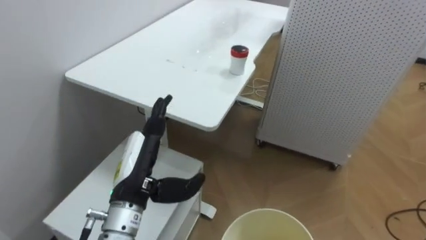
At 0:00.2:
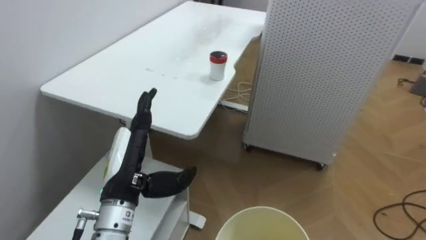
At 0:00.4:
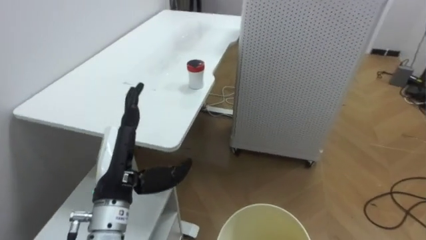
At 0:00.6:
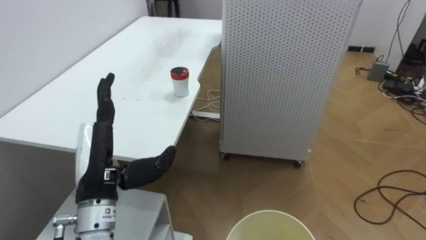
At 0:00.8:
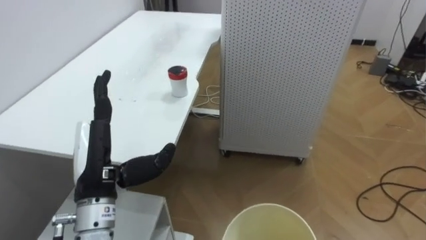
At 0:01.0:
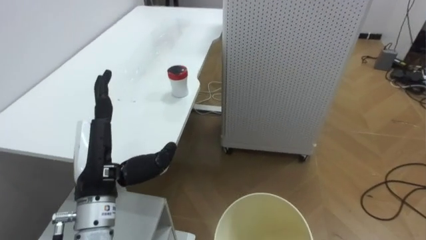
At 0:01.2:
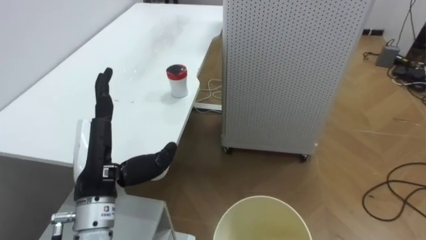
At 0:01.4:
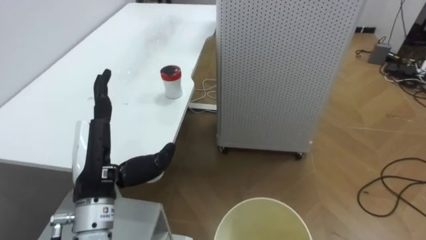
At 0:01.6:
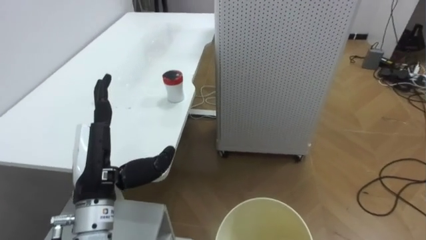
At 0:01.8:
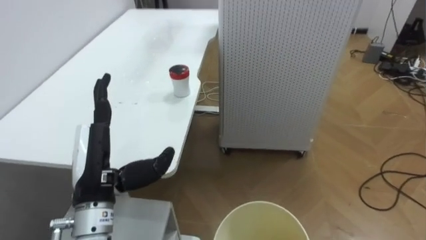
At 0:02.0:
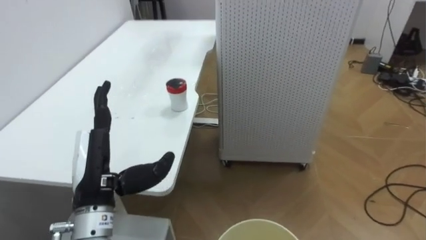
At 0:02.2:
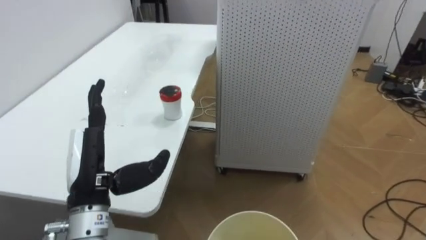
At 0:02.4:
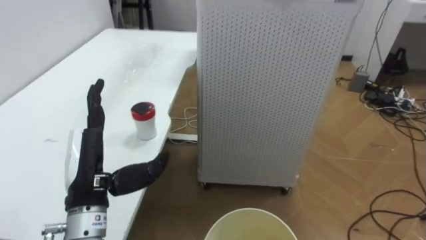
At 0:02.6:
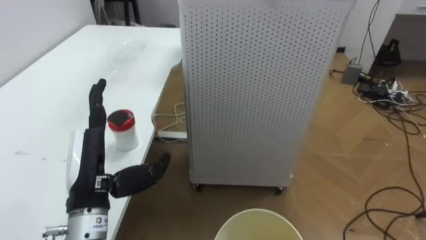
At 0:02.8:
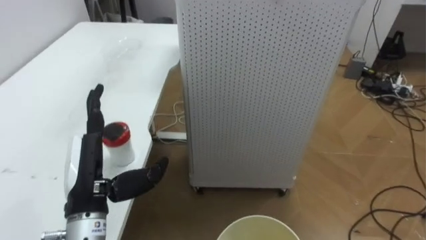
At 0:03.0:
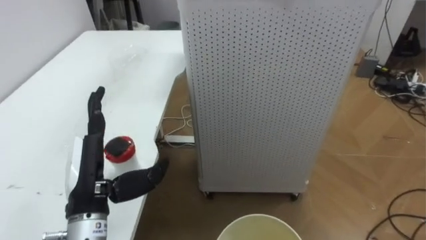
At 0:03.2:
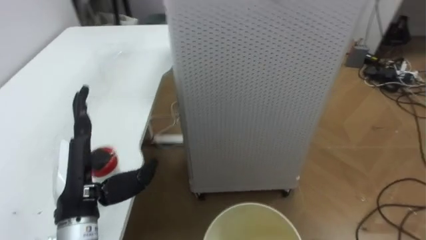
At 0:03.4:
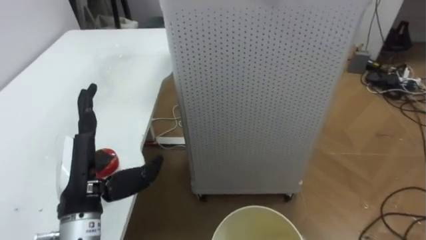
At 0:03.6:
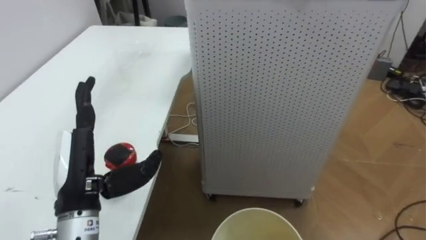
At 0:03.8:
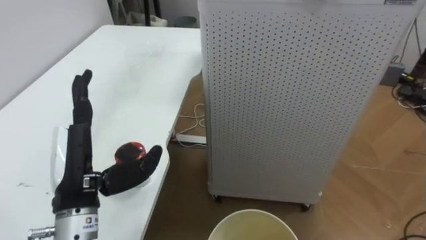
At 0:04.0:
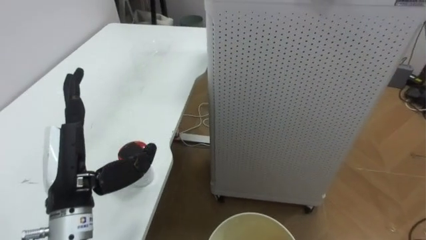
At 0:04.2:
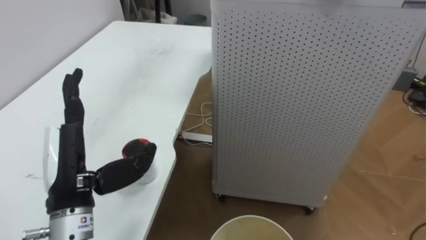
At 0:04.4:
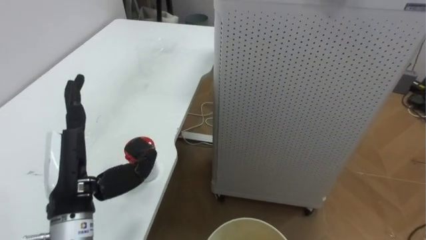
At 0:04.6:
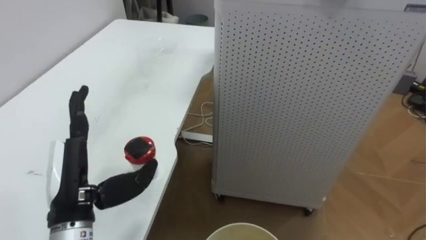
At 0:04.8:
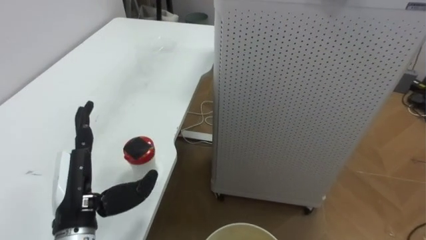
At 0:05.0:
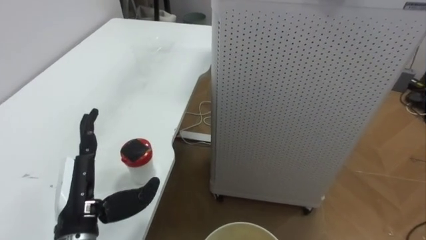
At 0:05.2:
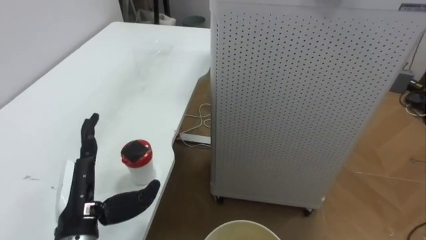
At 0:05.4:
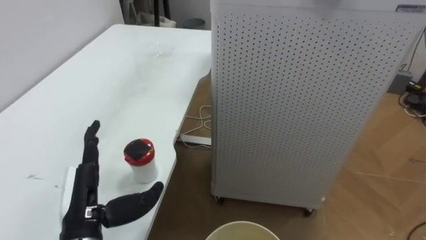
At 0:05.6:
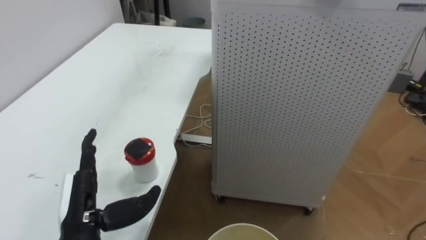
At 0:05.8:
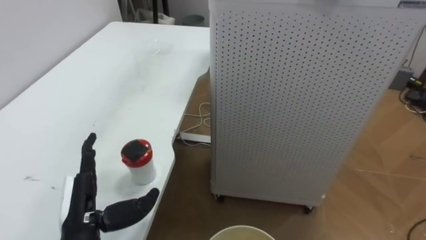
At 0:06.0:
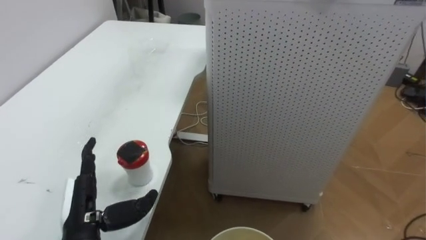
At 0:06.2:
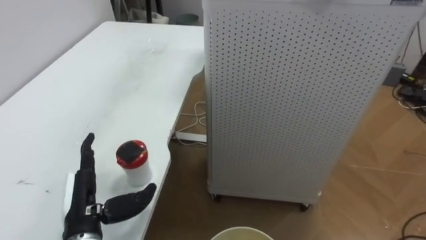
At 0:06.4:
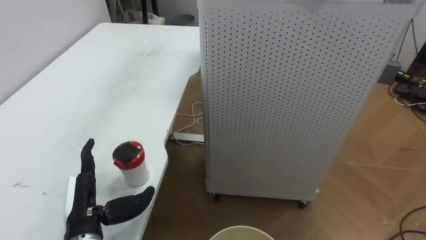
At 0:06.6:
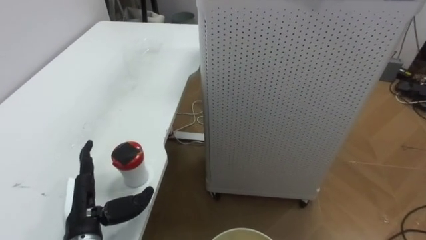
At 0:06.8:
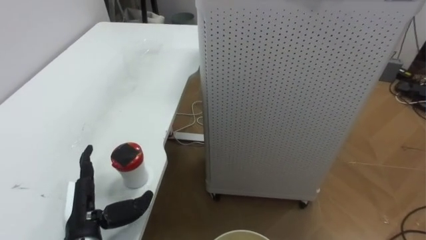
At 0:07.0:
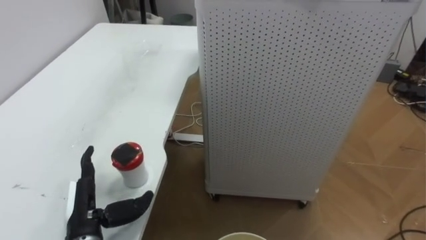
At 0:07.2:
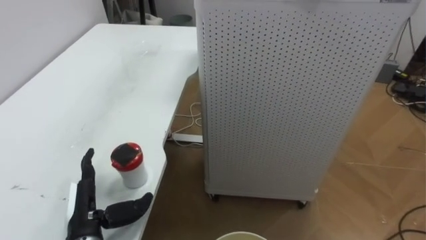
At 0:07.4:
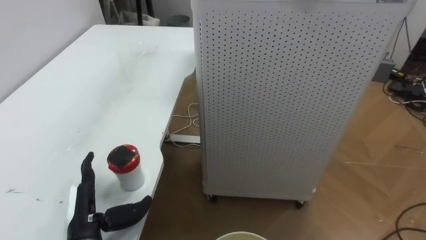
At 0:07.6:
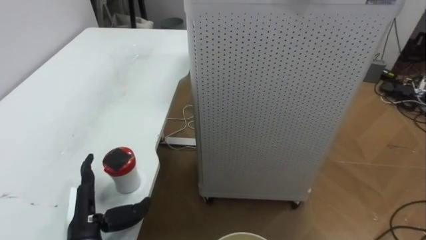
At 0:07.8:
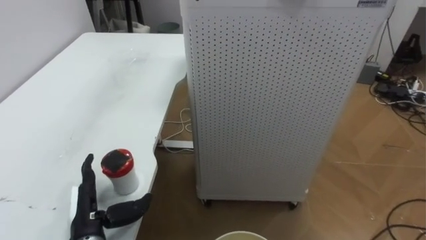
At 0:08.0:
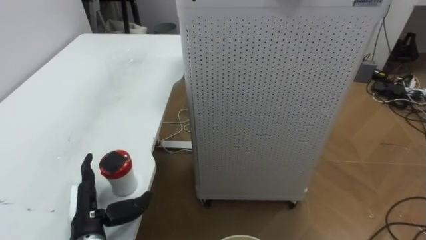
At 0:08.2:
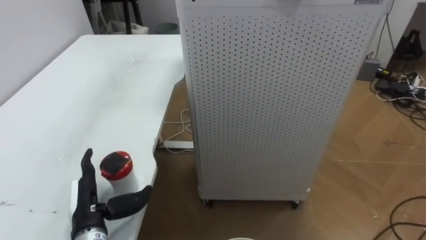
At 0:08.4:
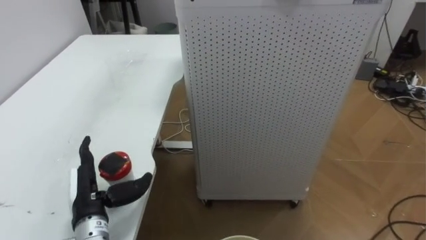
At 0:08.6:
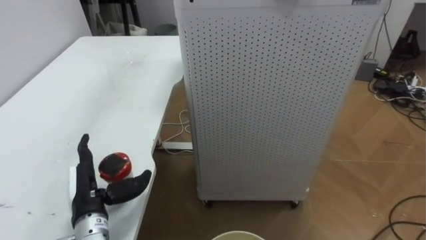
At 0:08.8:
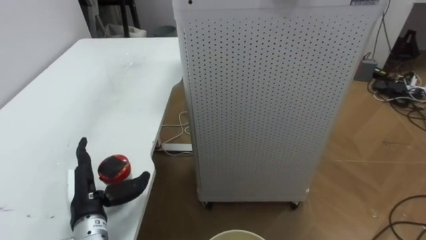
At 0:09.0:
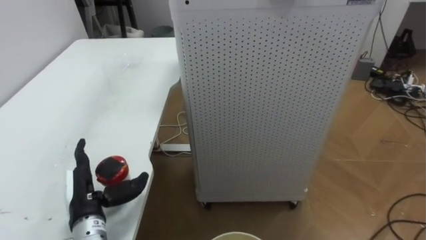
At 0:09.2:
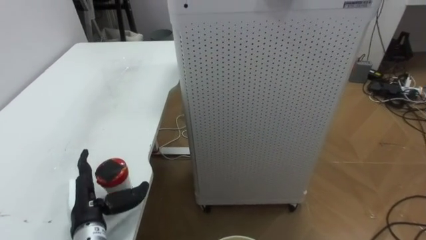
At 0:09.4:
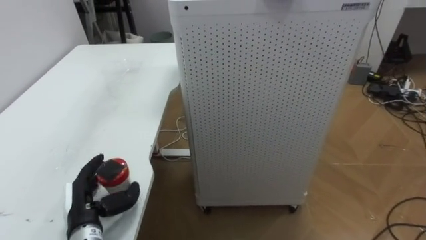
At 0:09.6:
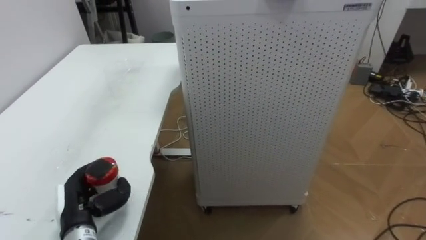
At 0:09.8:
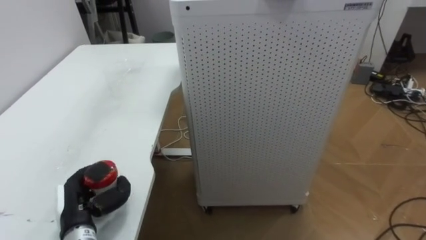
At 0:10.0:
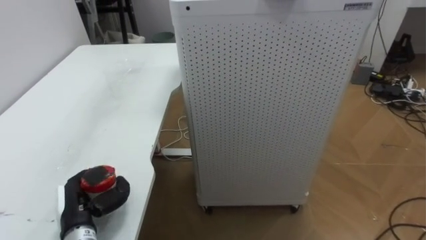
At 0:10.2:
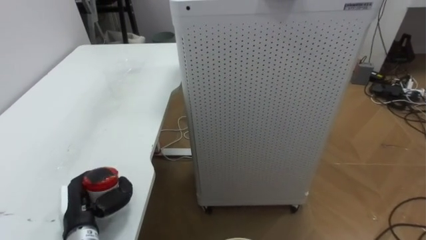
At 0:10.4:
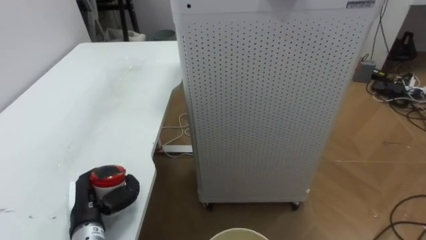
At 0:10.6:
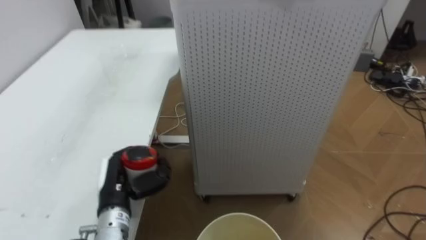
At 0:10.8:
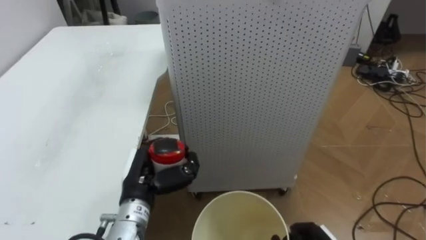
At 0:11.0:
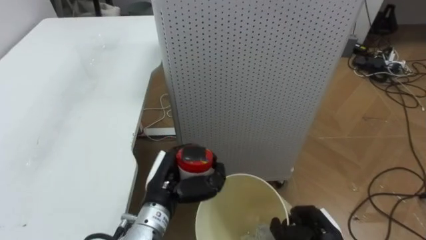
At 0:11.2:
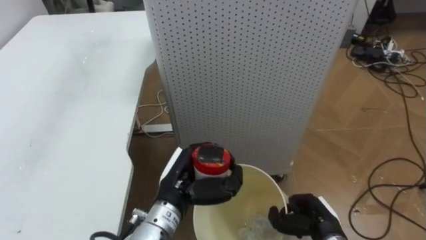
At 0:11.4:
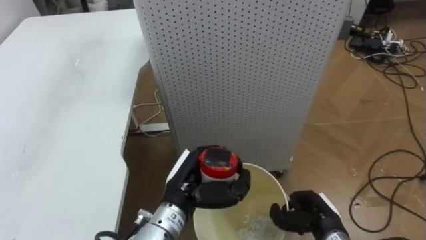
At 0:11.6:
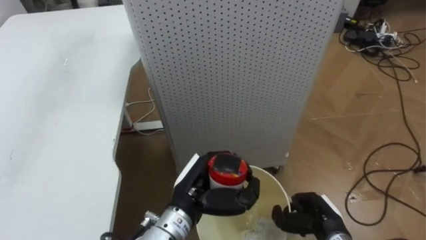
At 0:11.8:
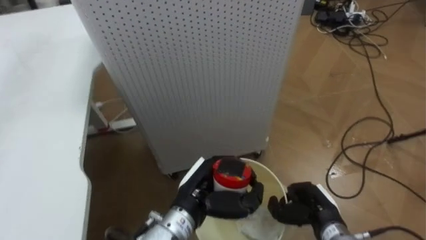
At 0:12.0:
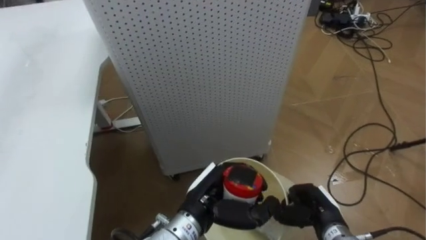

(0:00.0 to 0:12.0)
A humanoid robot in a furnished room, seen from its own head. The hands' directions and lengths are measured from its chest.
Task of the whole recording: Pick up the light blue package, the candy box, and the dark blue package separately, and put them into the trash can held in your right hand.
0:00.0 - 0:01.6: The robot turns to its right by approximately 20 degrees. The left hand moves to the left, about 5 cm.
0:04.4 - 0:06.0: The left hand travels downward by roughly 10 cm.
0:09.0 - 0:10.4: The left hand closes its fingers.
0:10.4 - 0:12.0: The left hand moves to the right, some 25 cm.

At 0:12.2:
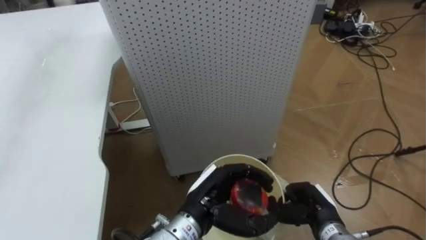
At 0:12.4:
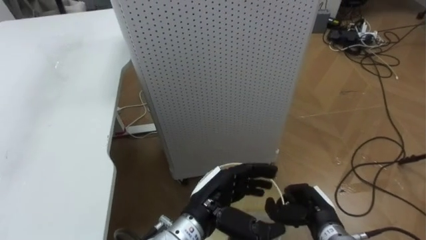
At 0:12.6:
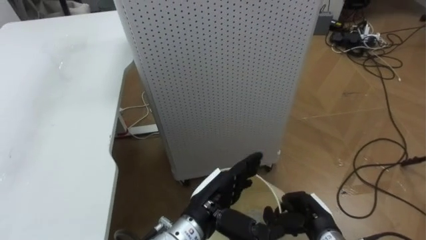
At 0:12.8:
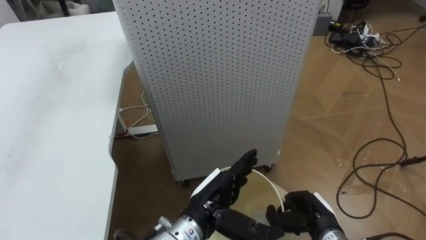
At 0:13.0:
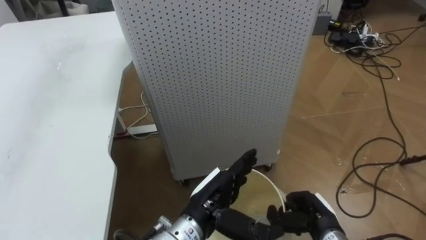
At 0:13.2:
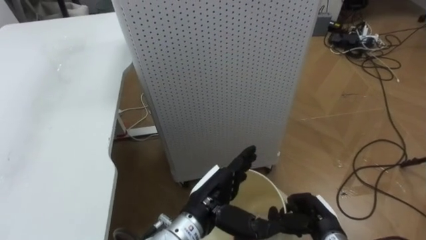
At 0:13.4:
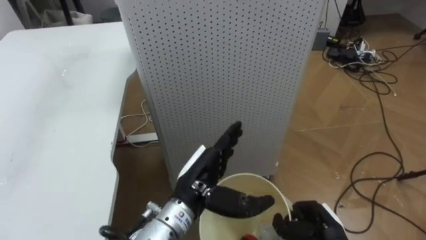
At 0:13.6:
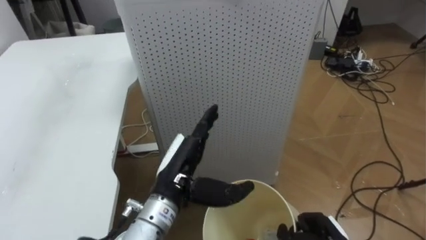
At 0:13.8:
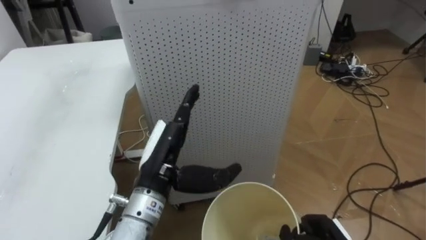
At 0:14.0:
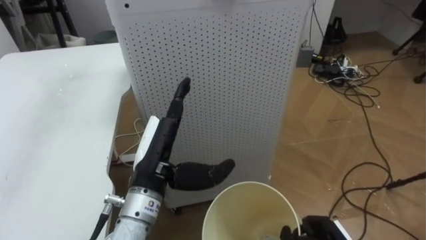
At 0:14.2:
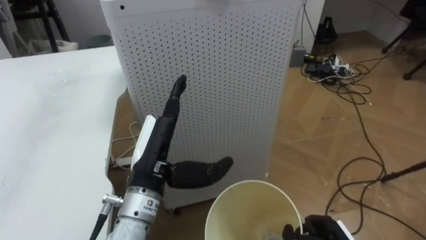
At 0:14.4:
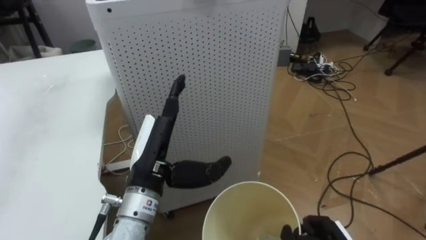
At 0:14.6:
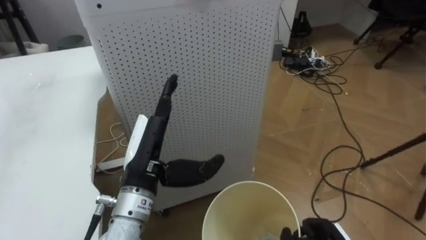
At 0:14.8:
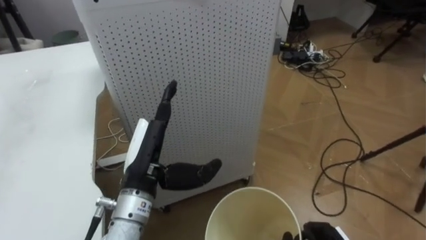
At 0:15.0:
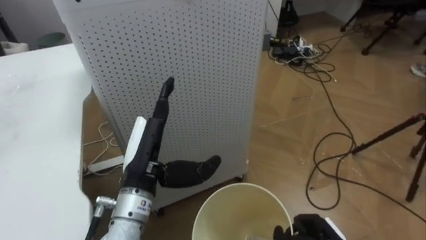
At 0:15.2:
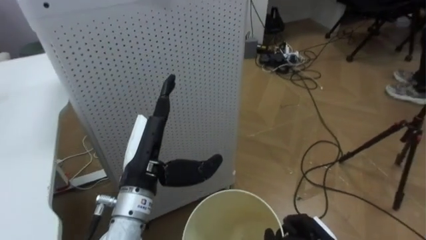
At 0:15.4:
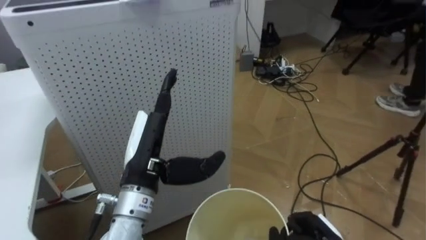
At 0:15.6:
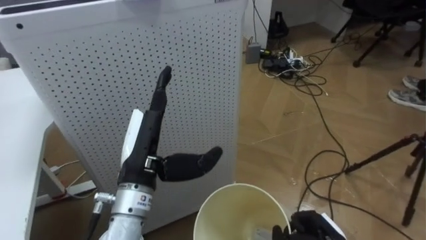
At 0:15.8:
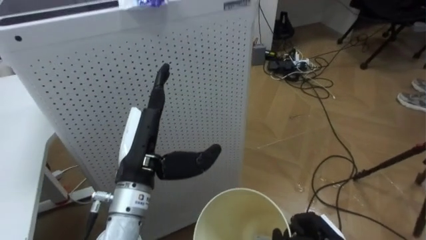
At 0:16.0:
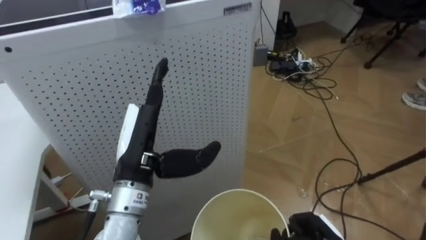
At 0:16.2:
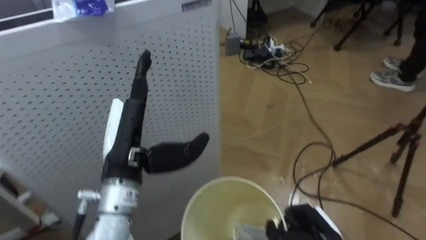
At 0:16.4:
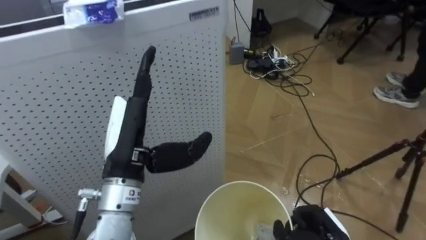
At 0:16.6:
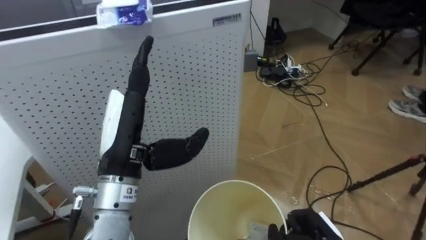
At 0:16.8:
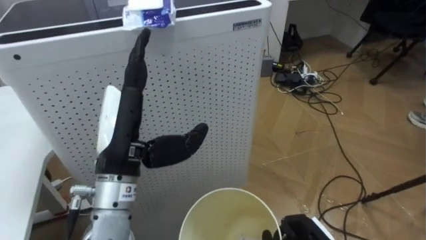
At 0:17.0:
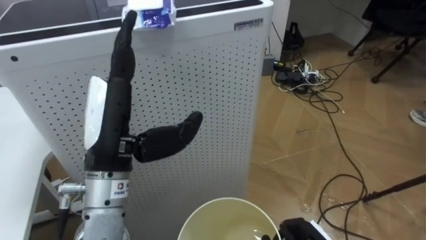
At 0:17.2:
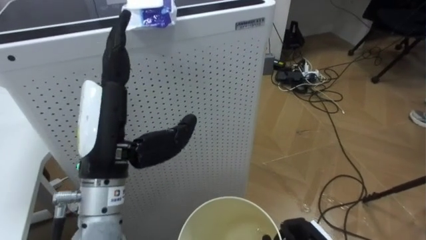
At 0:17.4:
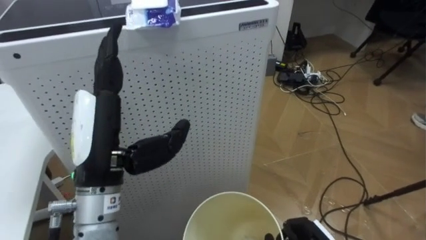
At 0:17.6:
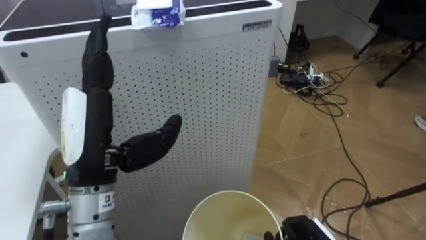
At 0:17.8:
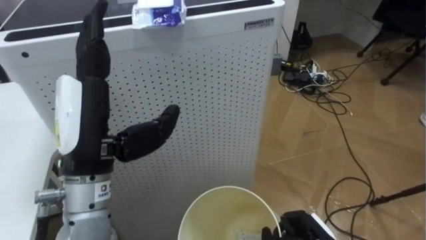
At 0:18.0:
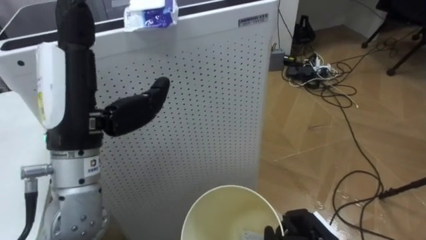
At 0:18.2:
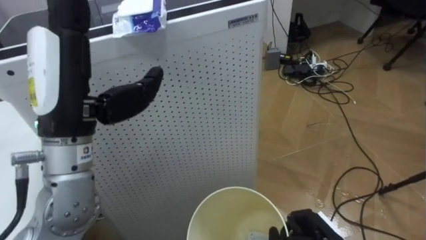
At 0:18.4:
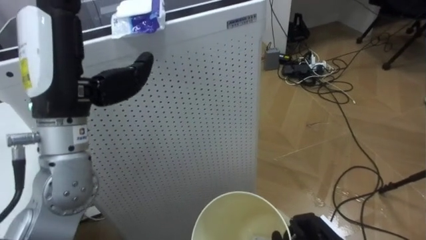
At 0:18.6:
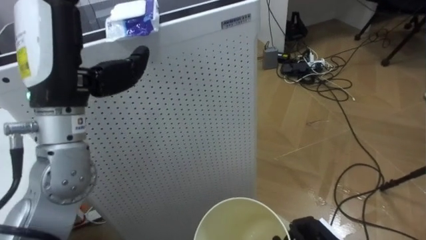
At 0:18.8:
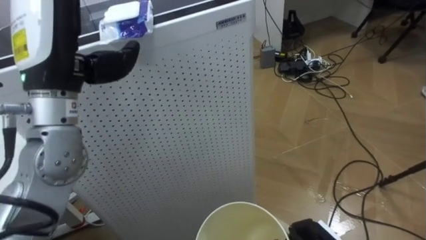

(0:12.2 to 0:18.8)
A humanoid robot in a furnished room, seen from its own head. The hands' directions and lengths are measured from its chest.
Task of the whole recording: Pick up the light blue package, the candy box, and the dark blue package separately, and put them into the trash can held in your right hand.
0:12.2 - 0:13.8: The left hand shifts about 10 cm upward and to the left, and opens.
0:13.8 - 0:15.4: The robot rotates some 15 degrees to its right.
0:15.4 - 0:17.2: The left hand shifts approximately 10 cm upward.
0:17.2 - 0:18.8: The left hand goes roughly 10 cm upward and forward.
